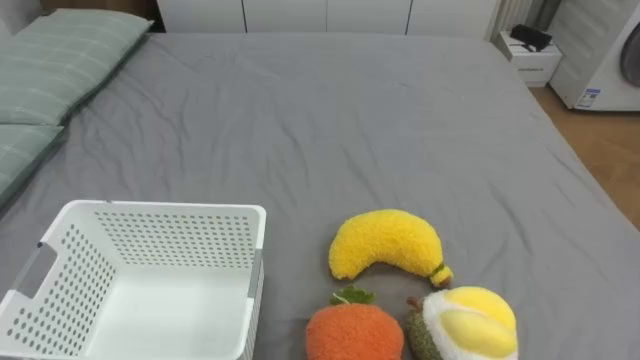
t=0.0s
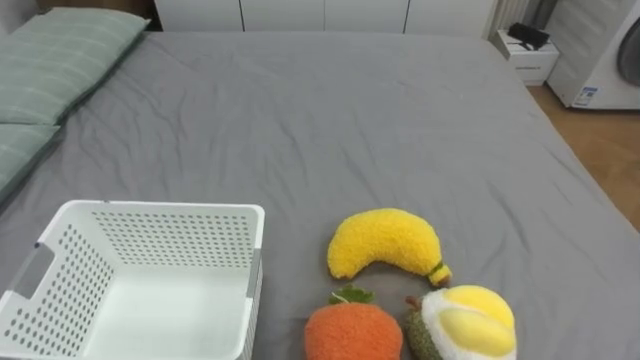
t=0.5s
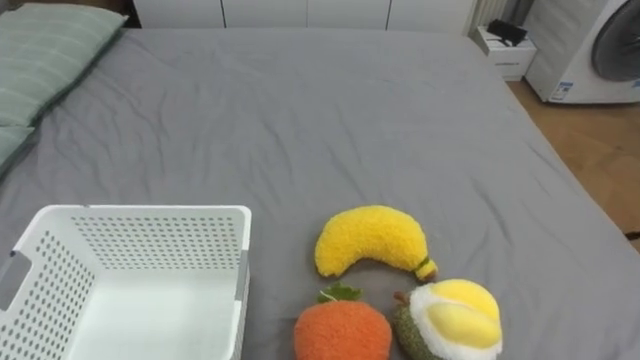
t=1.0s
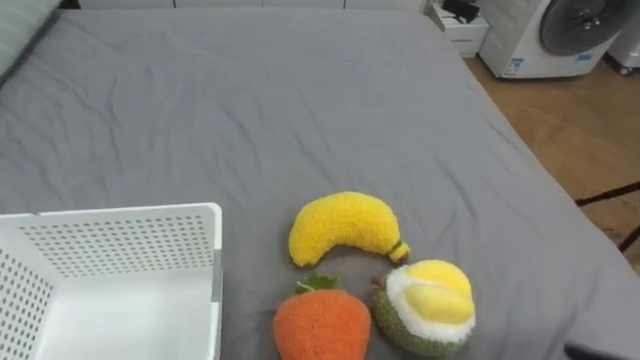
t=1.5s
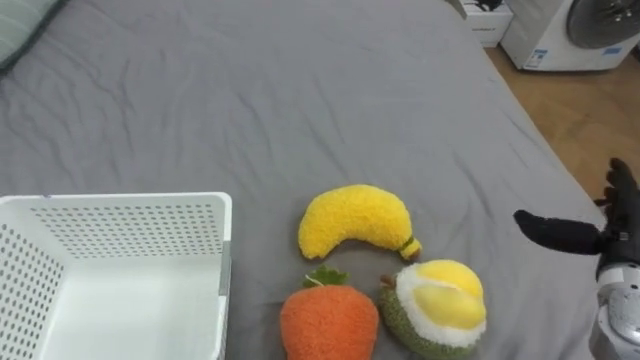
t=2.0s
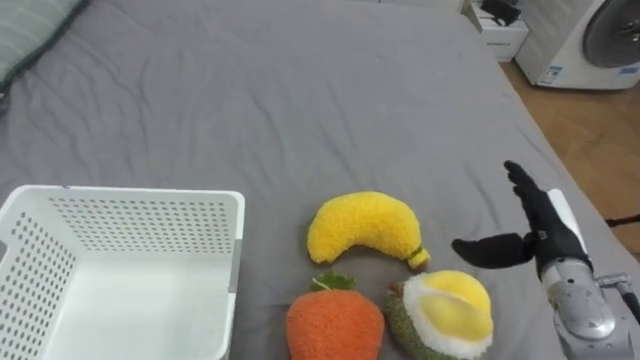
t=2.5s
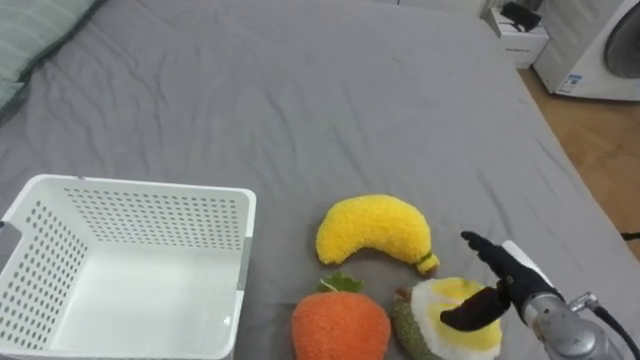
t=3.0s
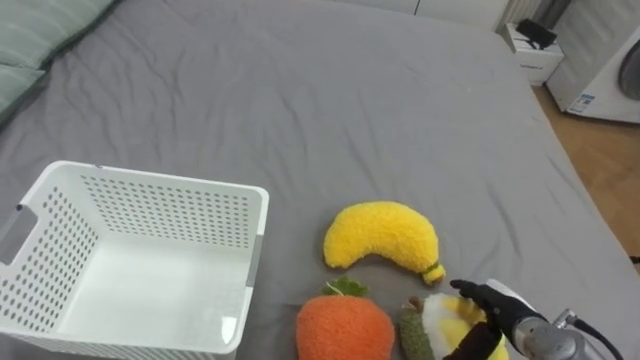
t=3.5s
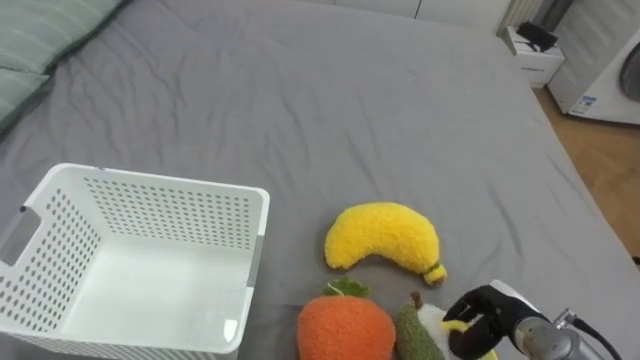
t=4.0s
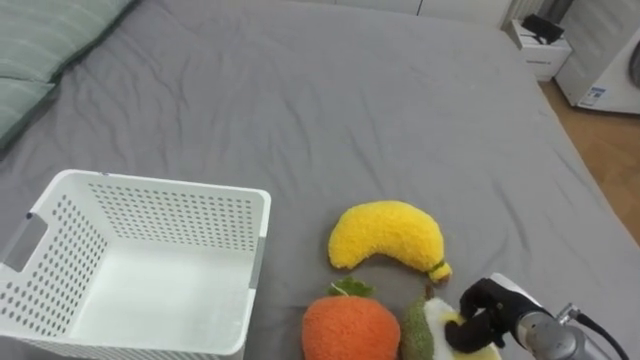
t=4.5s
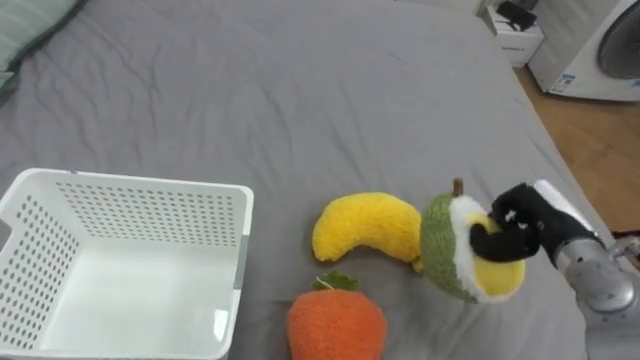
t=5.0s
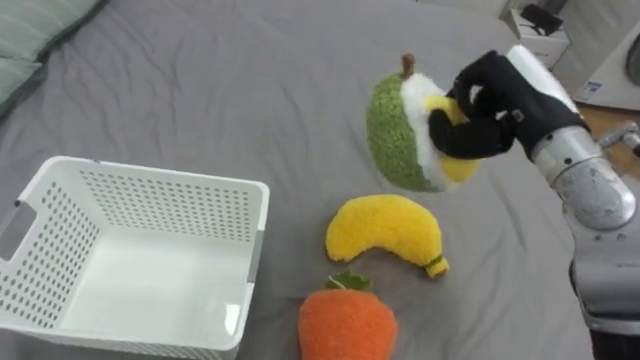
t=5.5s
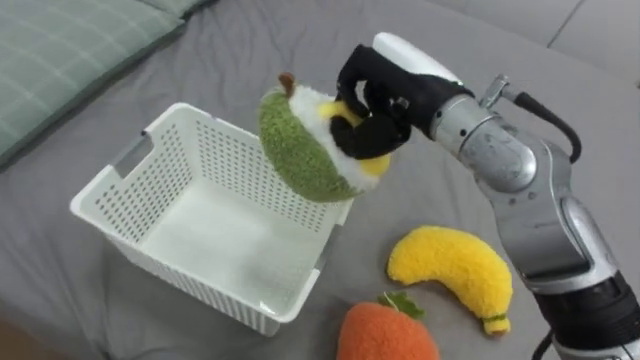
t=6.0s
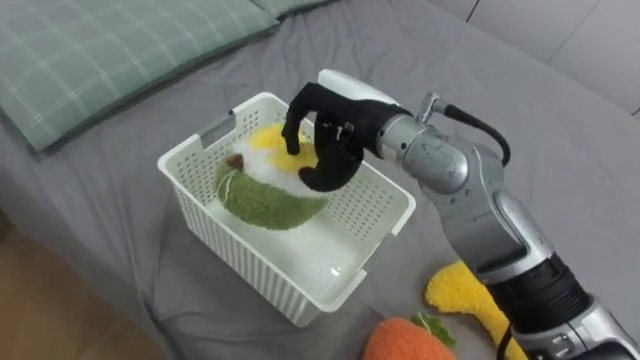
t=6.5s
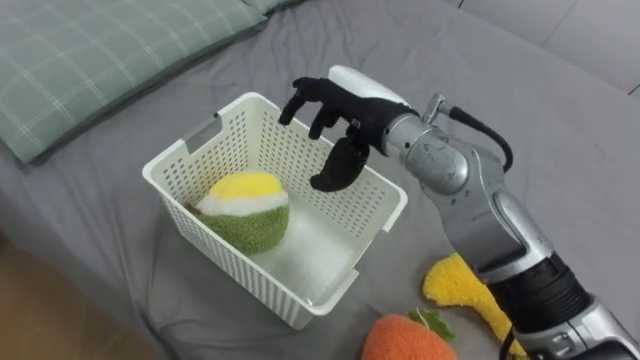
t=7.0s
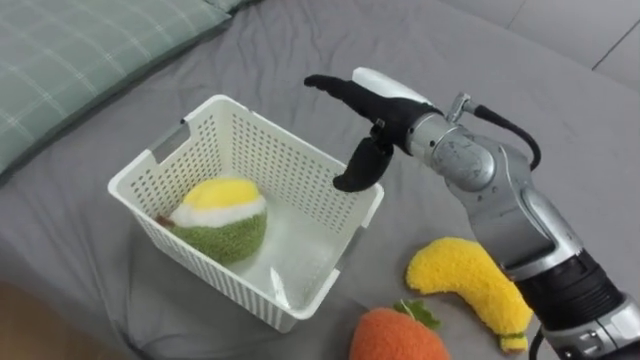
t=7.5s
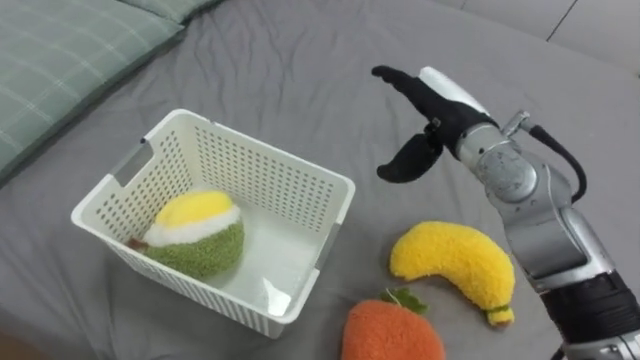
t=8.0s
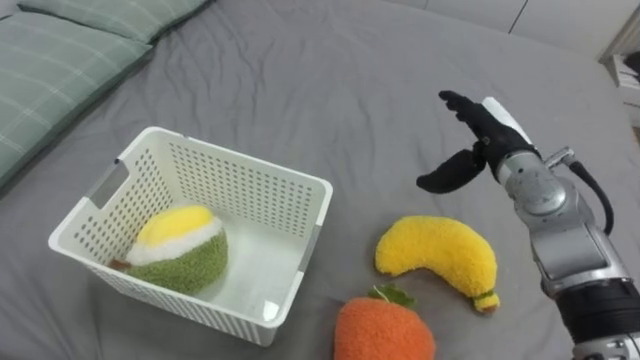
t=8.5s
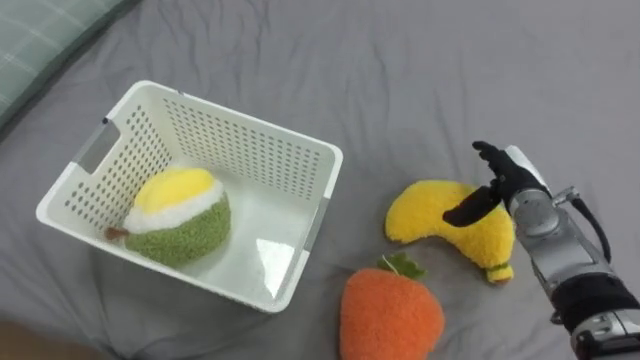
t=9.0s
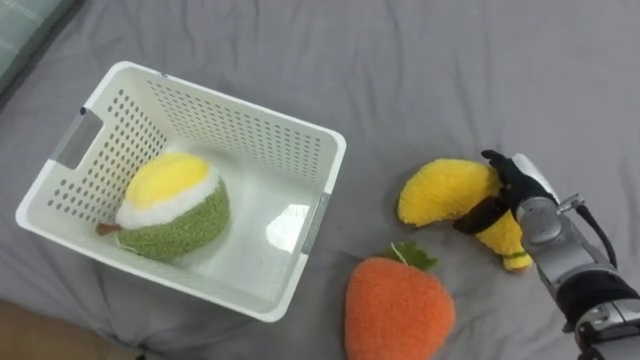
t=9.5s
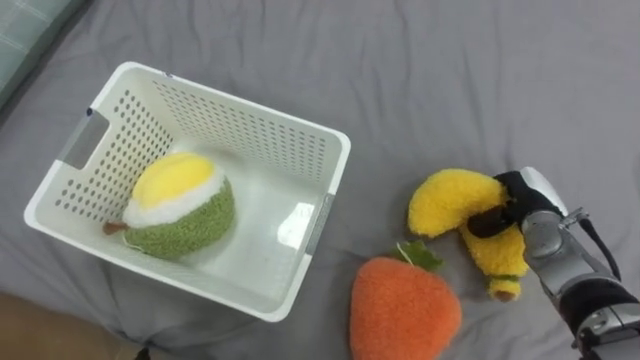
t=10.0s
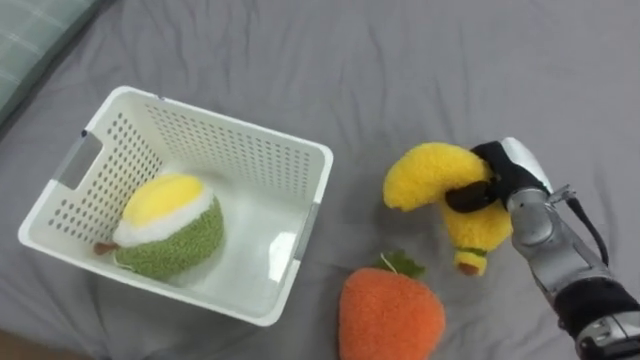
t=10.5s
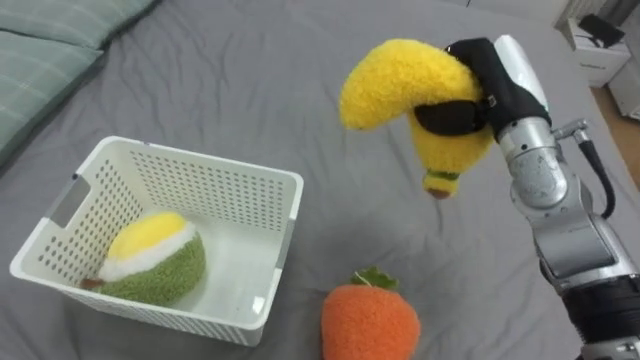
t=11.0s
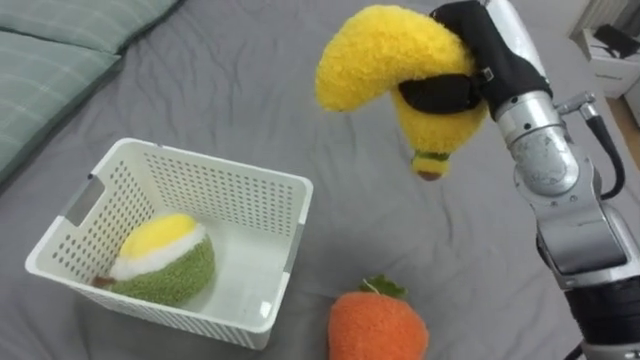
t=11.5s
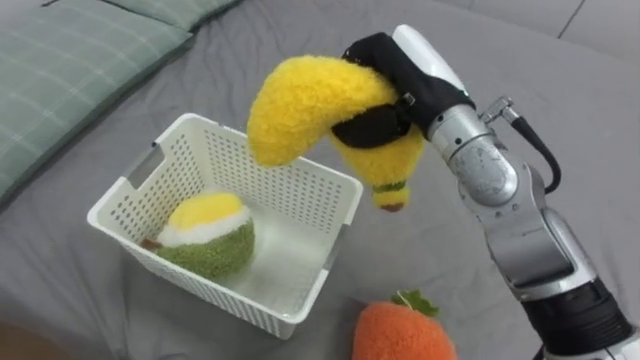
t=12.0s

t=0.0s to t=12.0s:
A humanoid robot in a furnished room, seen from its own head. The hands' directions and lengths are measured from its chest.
Task of the whole recording: Put the toys on the bed into the basket on the left.
t=2.0s to t=4.0s: The right hand travels downward and to the left by roughly 15 cm, and closes up.
t=4.0s to t=6.0s: The right hand heads upward, to the left and forward, covering roughly 35 cm, and closes its fingers.
t=6.0s to t=8.0s: The right hand heads downward and to the right, covering some 10 cm, and opens up.
t=8.0s to t=10.0s: The right hand travels downward and to the right by roughly 20 cm, and closes.
t=10.0s to t=12.0s: The right hand shifts roughly 30 cm upward and to the left.

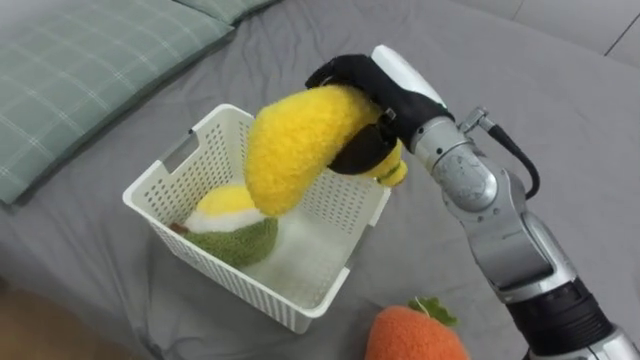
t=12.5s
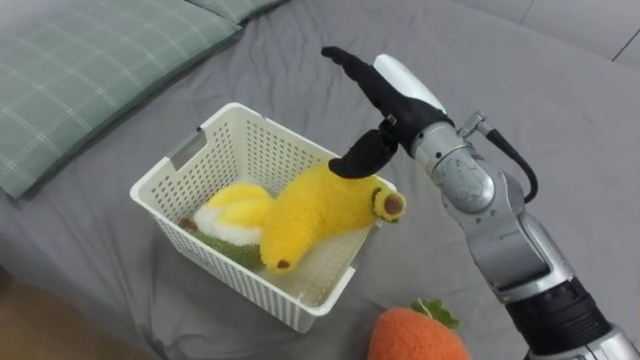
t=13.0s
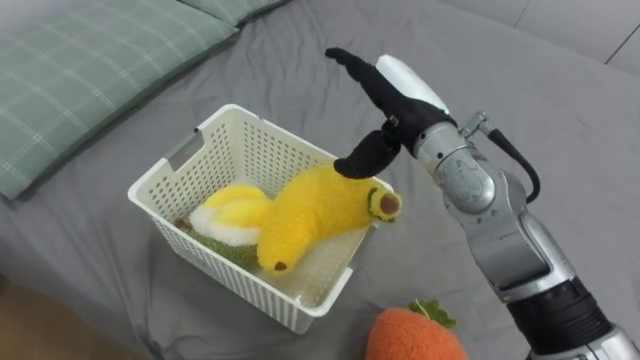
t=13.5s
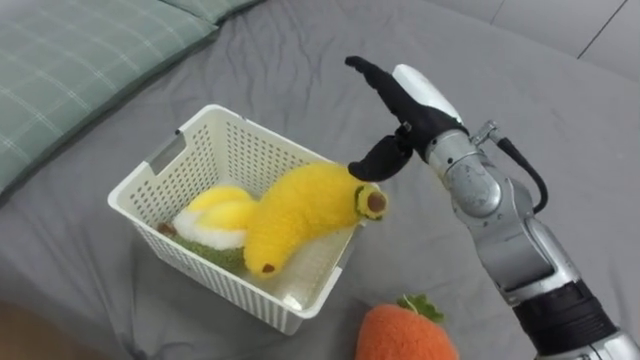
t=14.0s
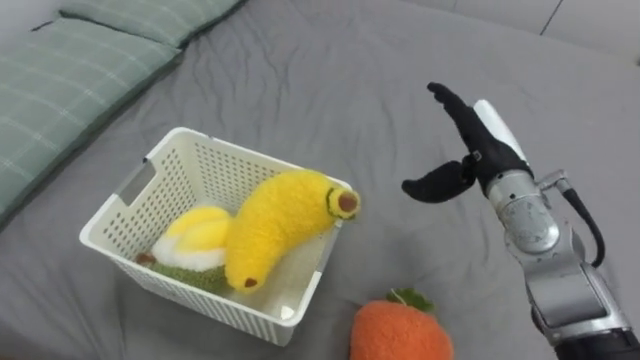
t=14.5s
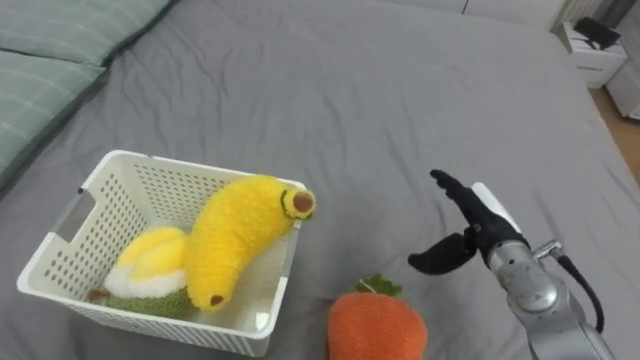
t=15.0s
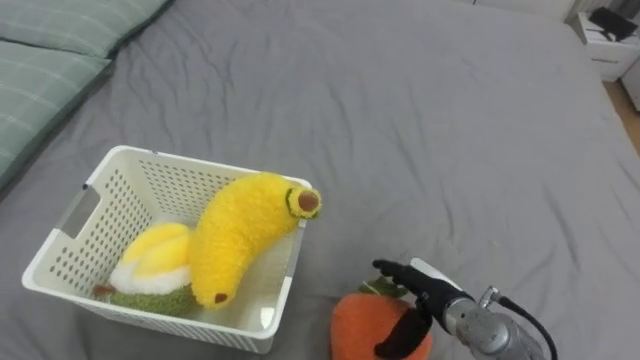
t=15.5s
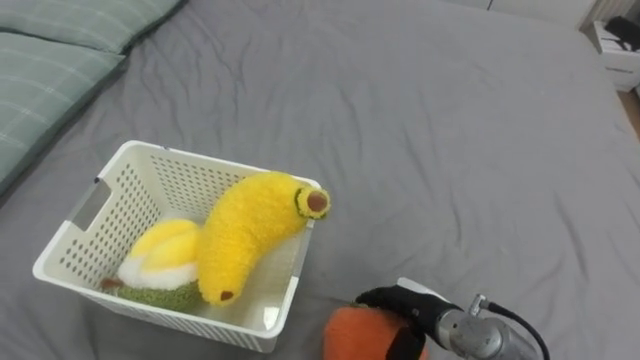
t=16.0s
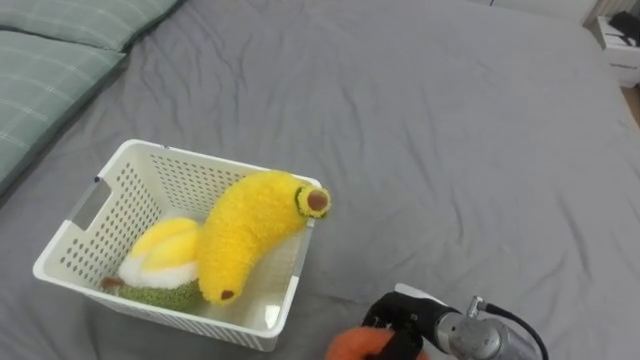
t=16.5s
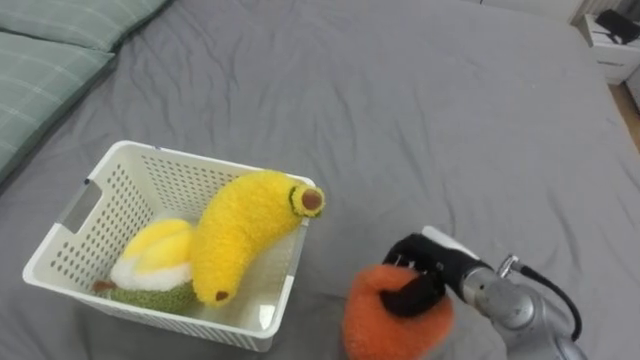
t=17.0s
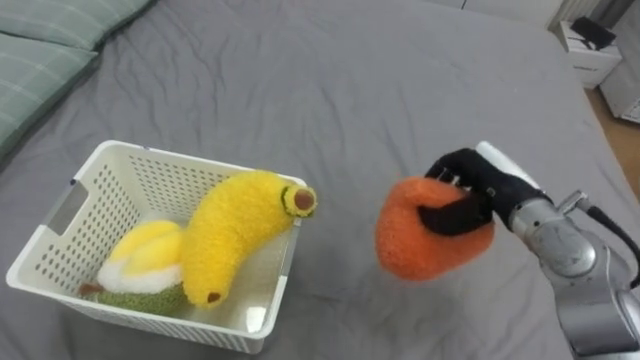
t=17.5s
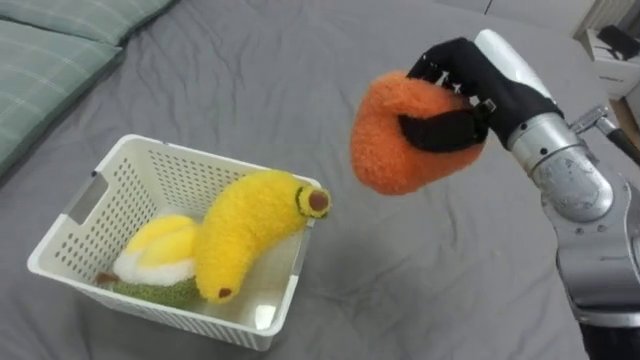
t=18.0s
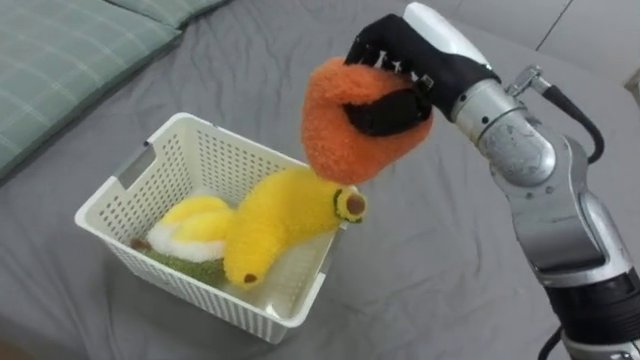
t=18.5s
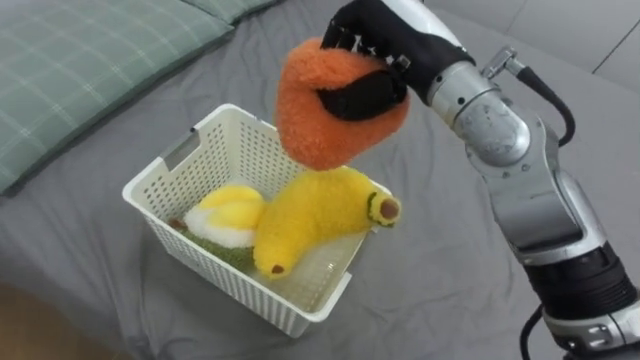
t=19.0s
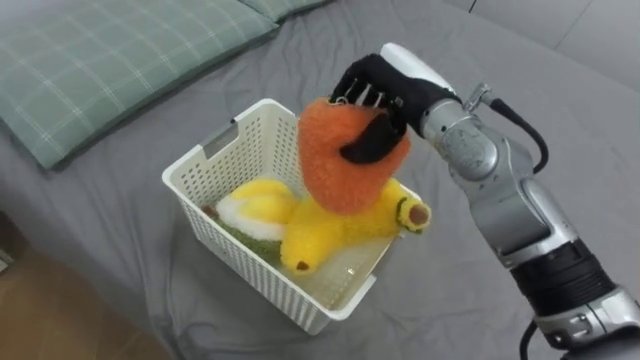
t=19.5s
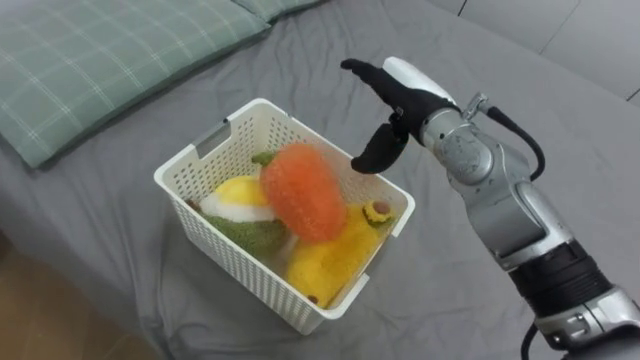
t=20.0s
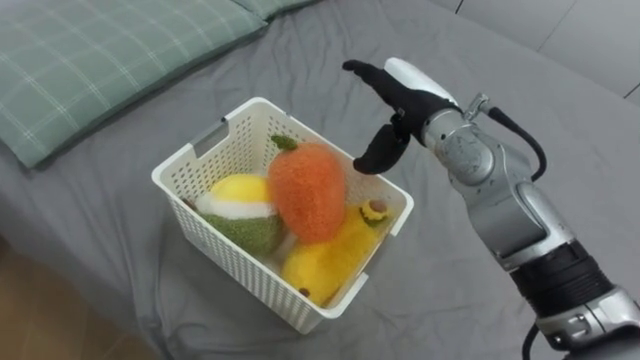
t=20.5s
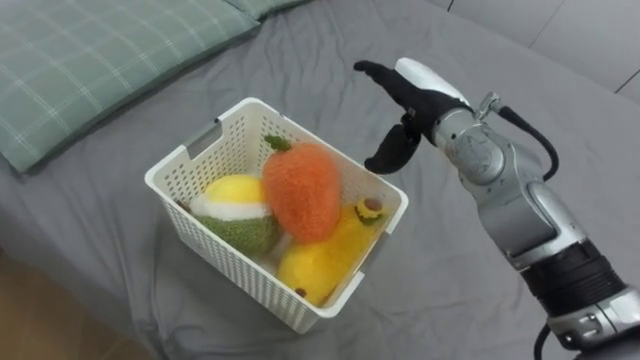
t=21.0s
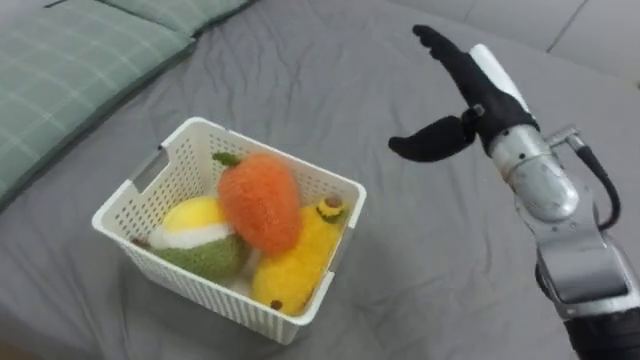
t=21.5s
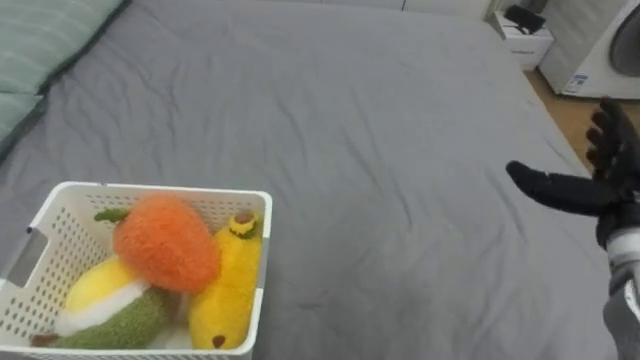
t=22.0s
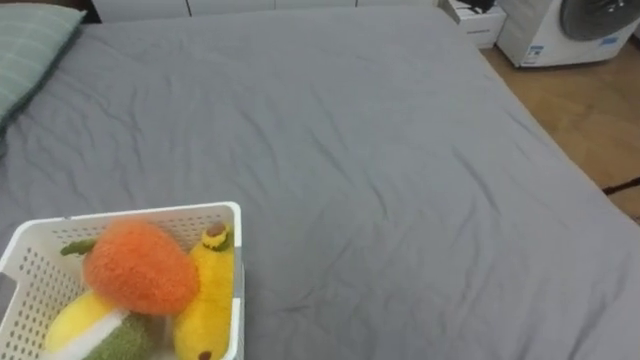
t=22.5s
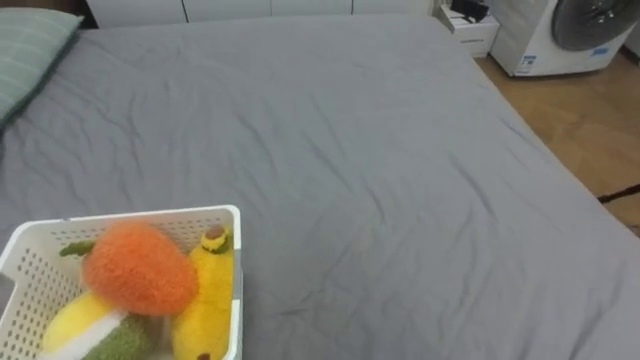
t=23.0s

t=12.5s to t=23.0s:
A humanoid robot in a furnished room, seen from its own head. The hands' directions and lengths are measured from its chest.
Task of the whole recording: Put the toys on the bed into the basket on the left.
t=12.5s to t=14.5s: The right hand goes roughly 15 cm to the right and downward.
t=14.5s to t=16.5s: The right hand shifts some 25 cm downward and backward, and closes.
t=16.5s to t=19.0s: The right hand heads upward and forward, covering roughly 35 cm.
t=19.0s to t=21.0s: The right hand goes some 10 cm downward, and opens up.
